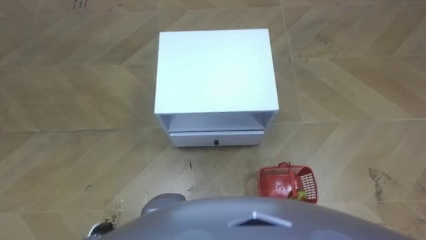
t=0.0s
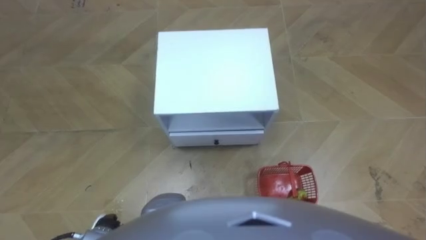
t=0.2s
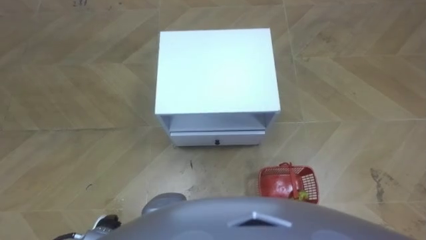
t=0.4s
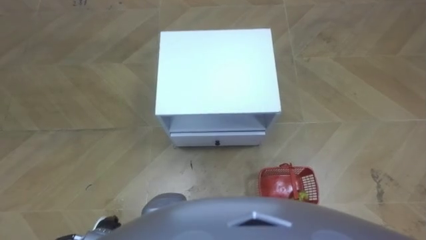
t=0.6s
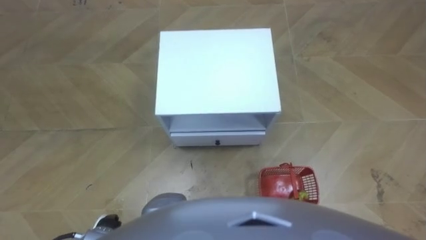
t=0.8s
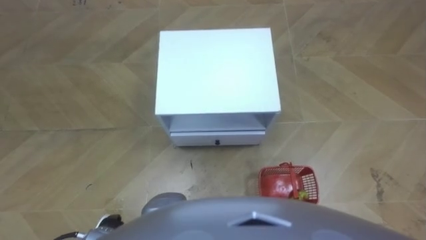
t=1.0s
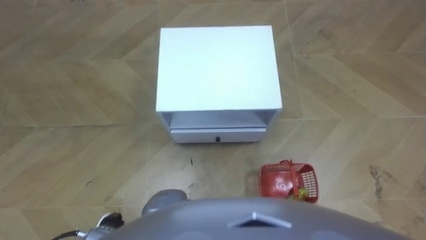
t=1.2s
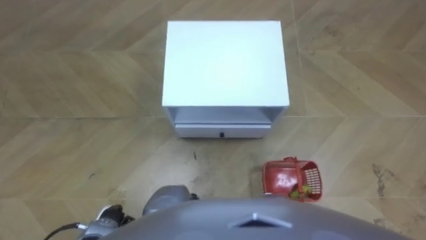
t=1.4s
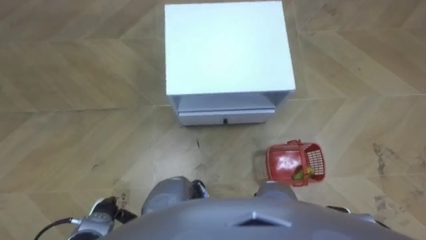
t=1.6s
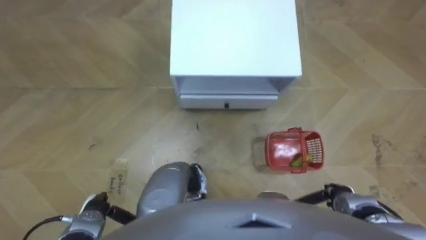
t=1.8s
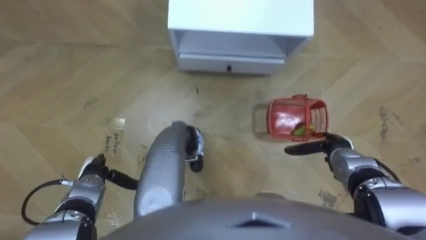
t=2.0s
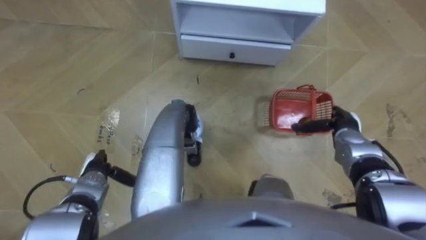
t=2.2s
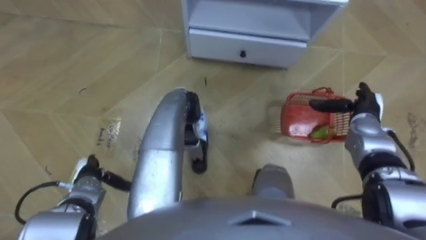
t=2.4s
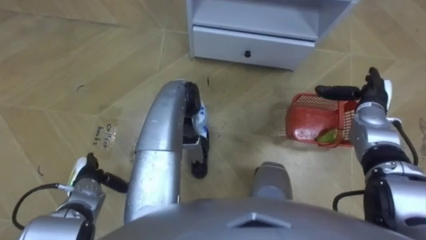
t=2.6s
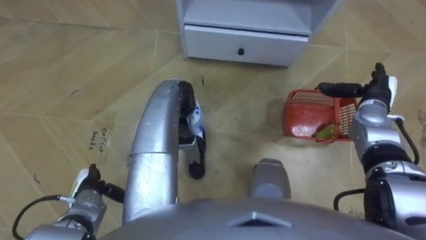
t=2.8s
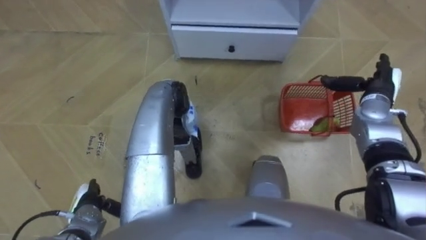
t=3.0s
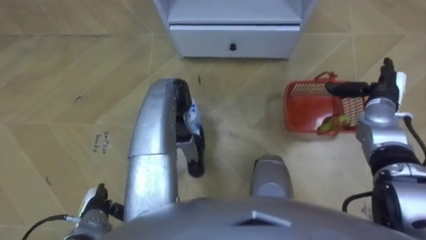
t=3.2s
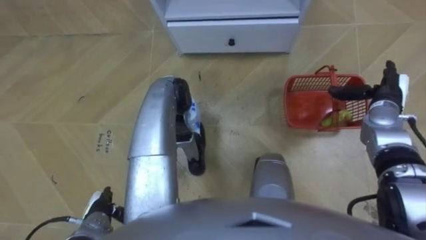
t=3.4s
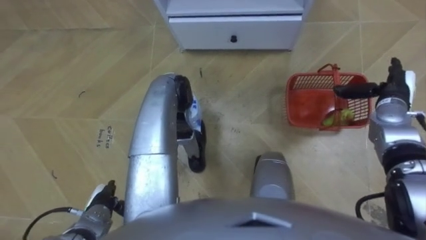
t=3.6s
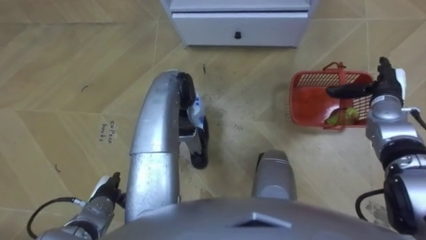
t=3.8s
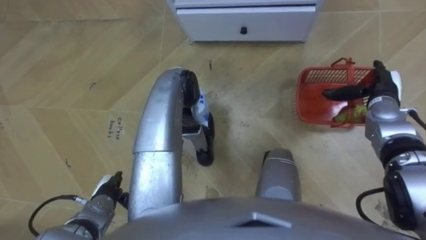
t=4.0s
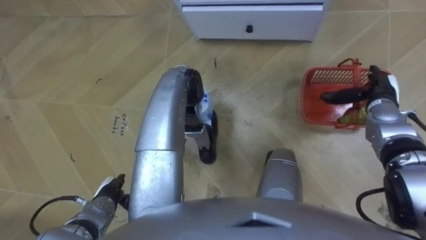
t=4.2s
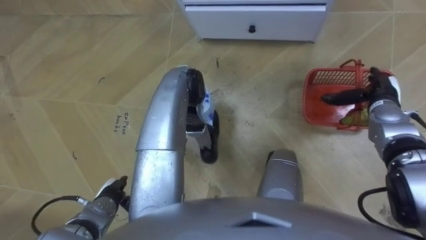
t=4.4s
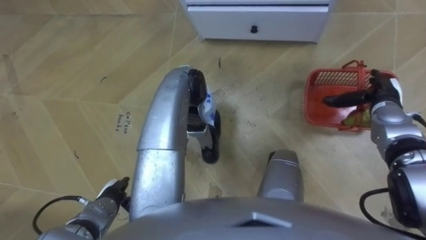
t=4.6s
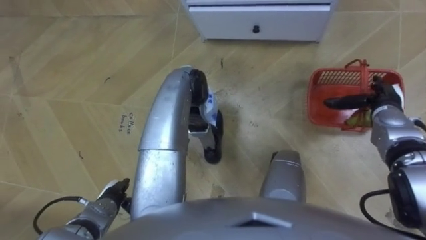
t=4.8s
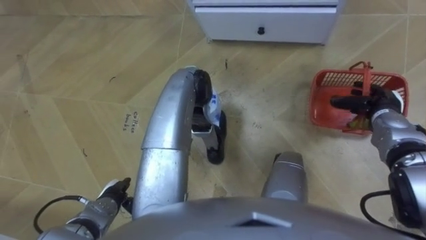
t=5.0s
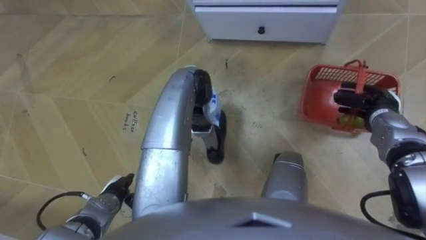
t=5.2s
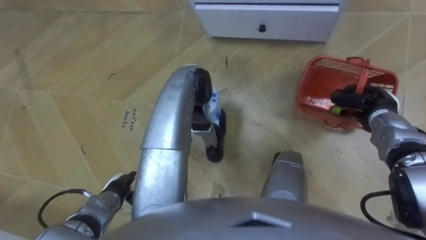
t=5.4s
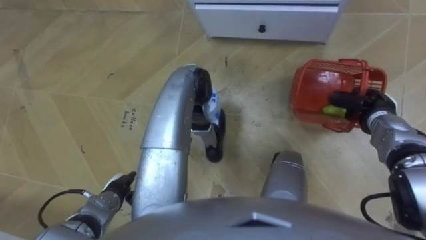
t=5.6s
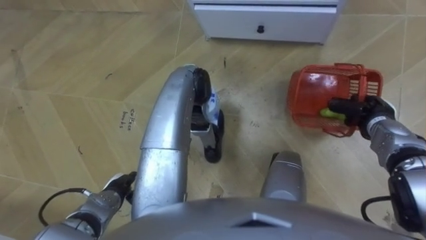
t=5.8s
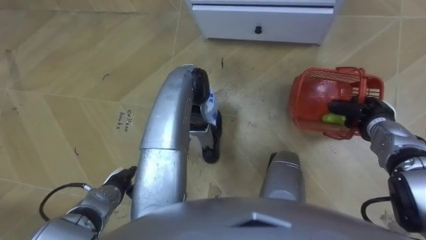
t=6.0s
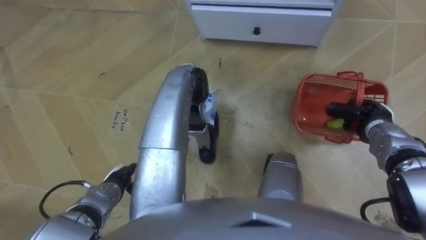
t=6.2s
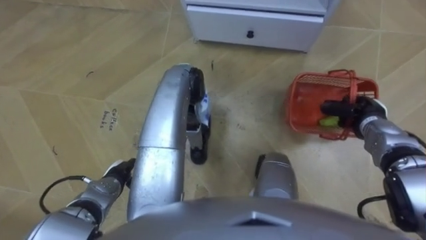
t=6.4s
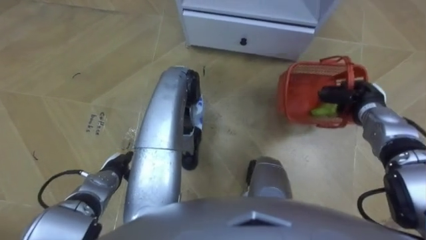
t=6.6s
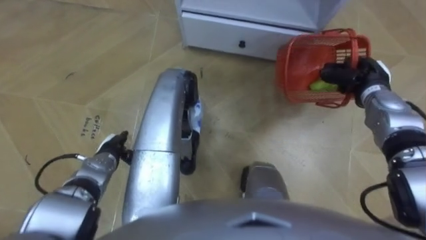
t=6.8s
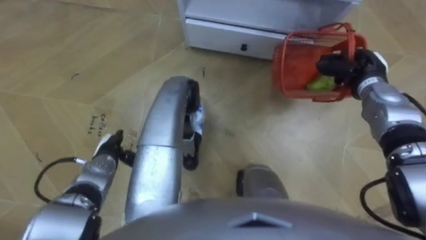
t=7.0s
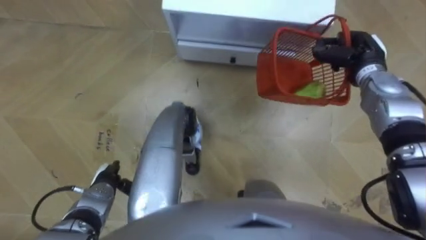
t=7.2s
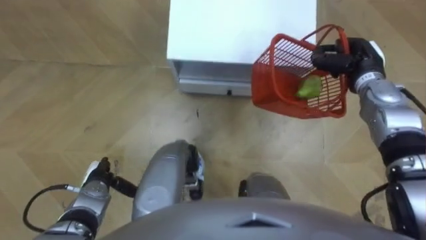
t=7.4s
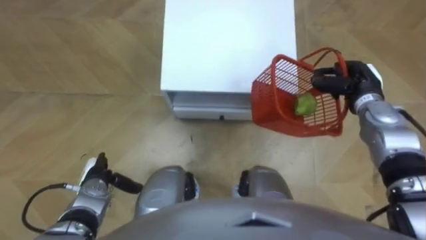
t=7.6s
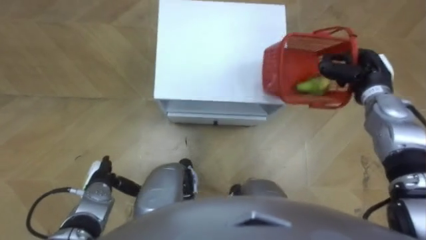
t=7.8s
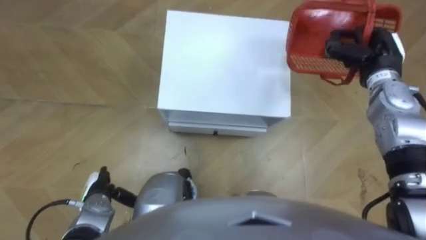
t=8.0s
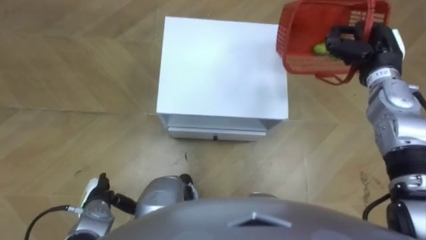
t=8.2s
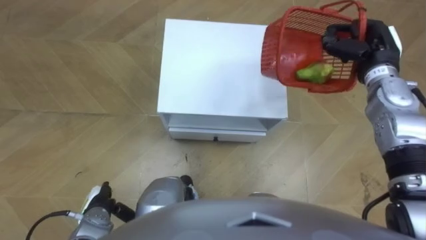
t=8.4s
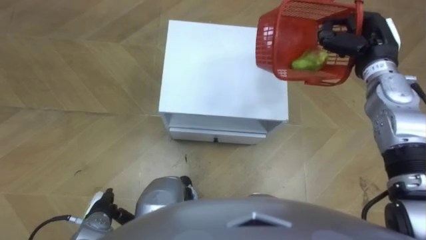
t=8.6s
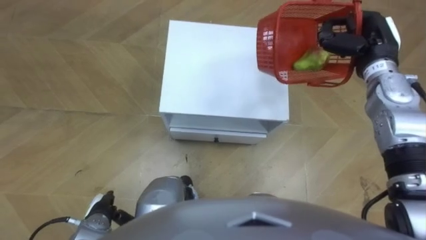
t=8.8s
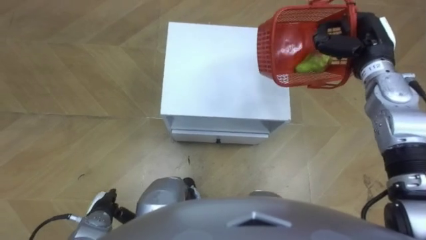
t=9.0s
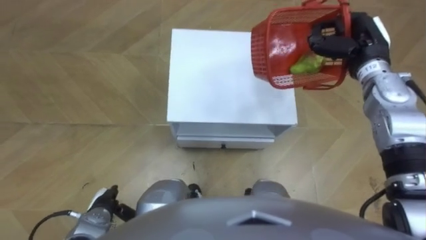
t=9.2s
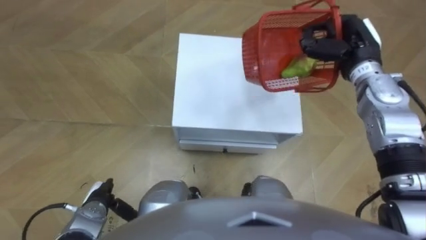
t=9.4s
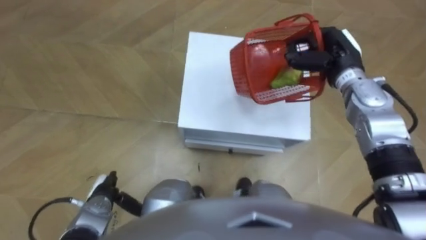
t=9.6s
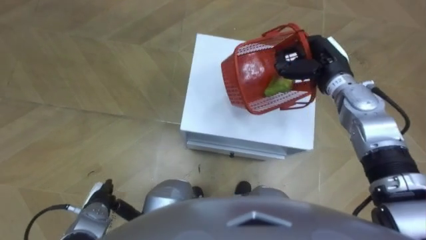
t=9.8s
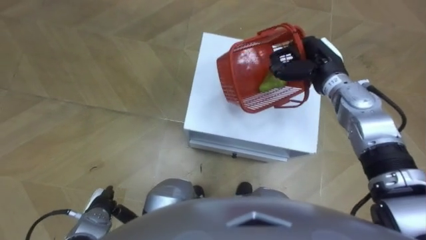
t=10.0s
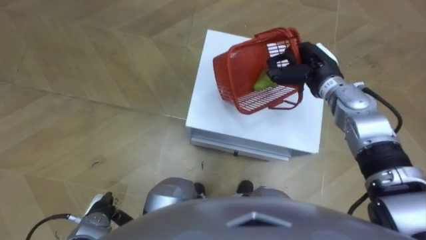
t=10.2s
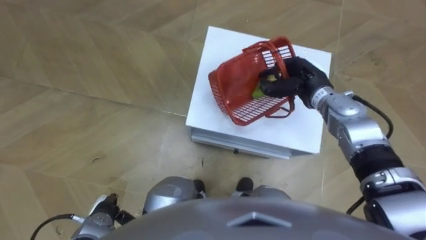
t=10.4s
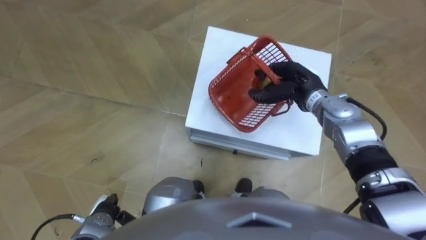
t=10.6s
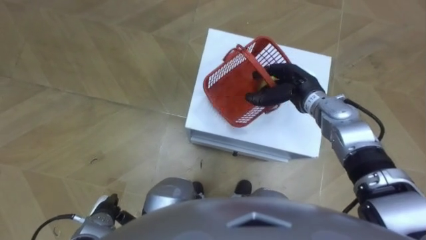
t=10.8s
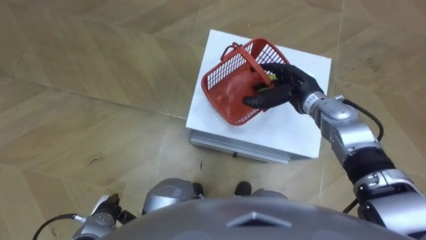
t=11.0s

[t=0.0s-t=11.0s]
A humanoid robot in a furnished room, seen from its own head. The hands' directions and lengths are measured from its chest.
Task of the whole recording: Pick up the fruit basket from the floor and place it on the cabinet.
t=1.6s to t=3.2s: The left hand travels forward and back again, approximately 10 cm each way; the right hand goes roughly 30 cm forward and upward.
t=4.8s to t=6.2s: The right hand closes up.
t=6.2s to t=7.8s: The right hand heads upward and forward, covering about 10 cm.
t=7.8s to t=9.4s: The right hand goes roughly 5 cm upward.
t=9.4s to t=11.0s: The right hand moves to the left and downward, about 10 cm, and opens up.

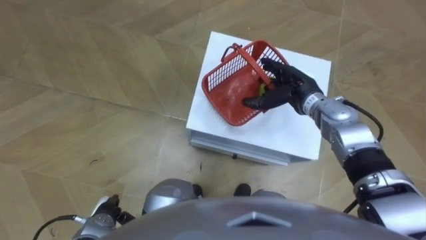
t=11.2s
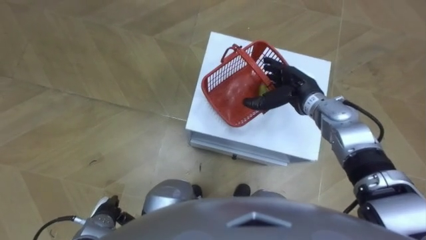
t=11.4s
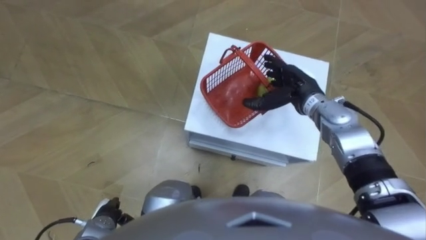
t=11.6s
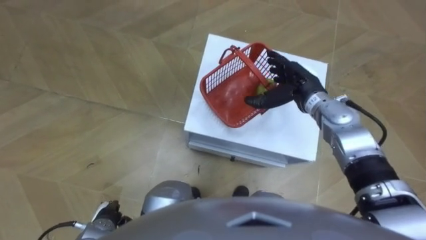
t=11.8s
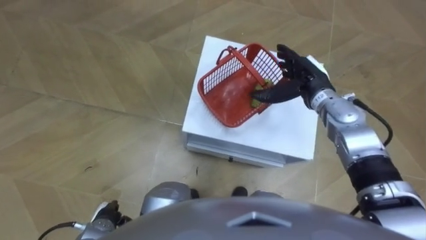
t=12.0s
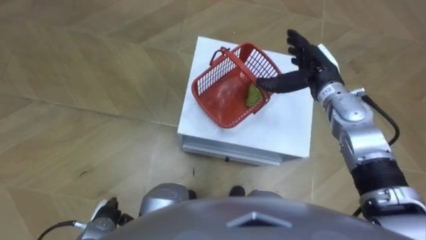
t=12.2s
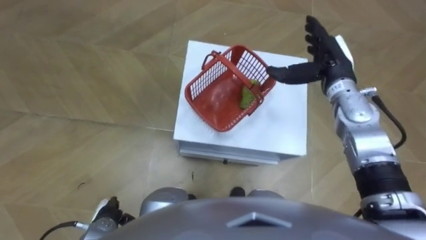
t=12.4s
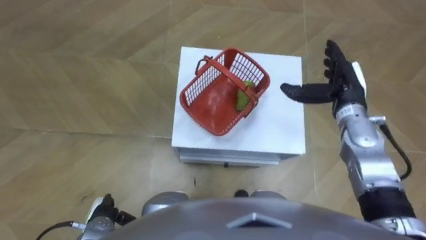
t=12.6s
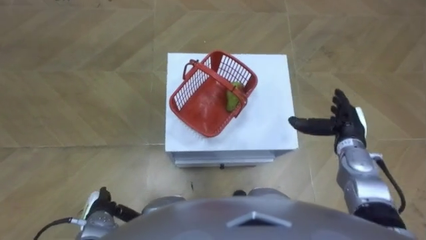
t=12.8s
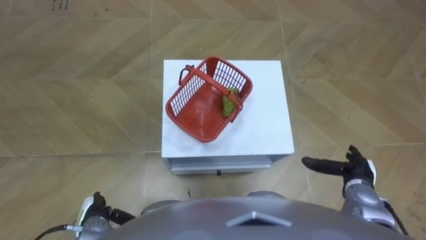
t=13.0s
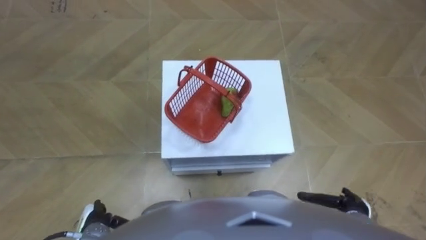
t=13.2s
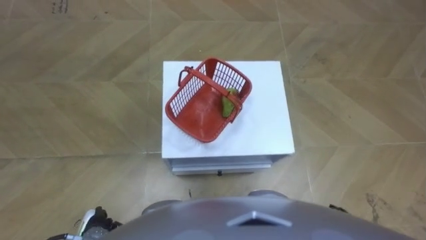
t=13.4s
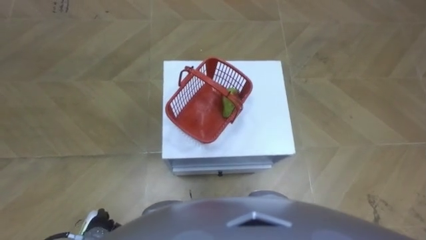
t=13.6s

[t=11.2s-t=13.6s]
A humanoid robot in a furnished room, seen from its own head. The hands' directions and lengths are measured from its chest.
Task of the whole recording: Pick up the fruit basket from the floor and place it on the cabinet.
t=11.2s to t=12.4s: The right hand travels upward and to the right by some 10 cm.
t=12.4s to t=13.6s: The right hand heads backward and downward, covering some 40 cm.

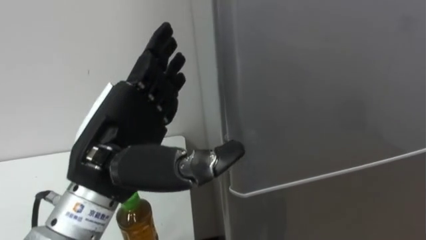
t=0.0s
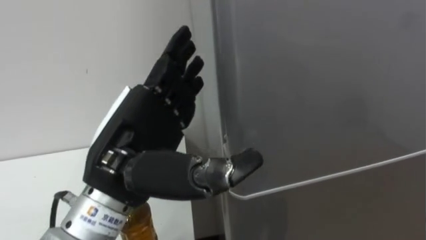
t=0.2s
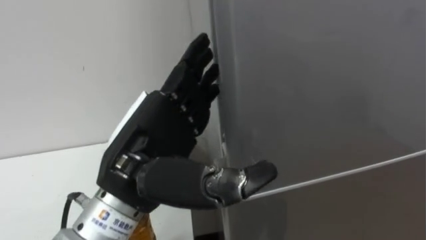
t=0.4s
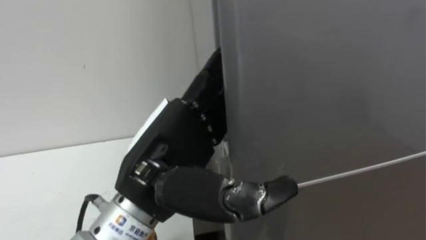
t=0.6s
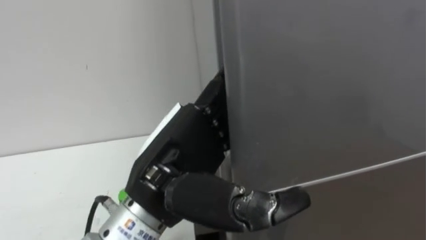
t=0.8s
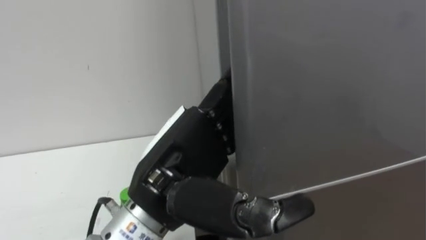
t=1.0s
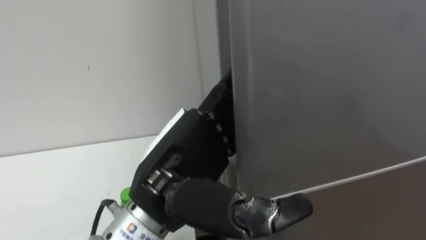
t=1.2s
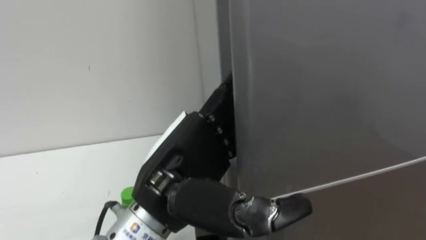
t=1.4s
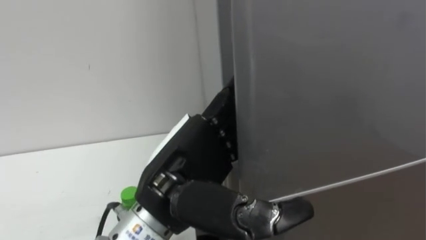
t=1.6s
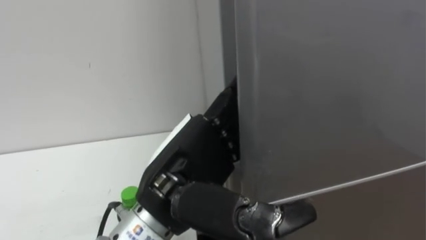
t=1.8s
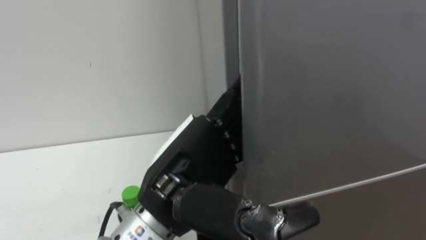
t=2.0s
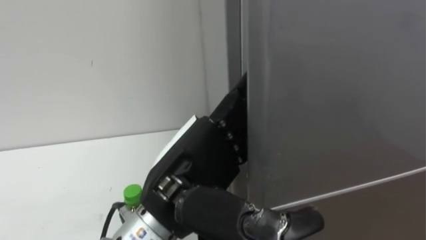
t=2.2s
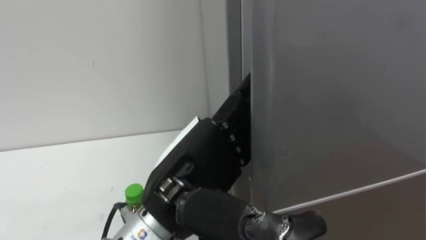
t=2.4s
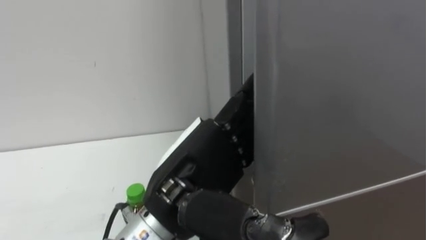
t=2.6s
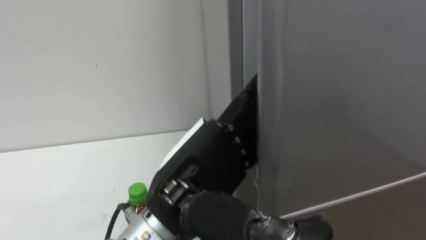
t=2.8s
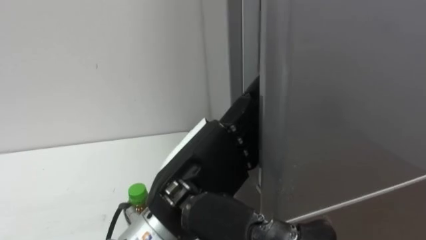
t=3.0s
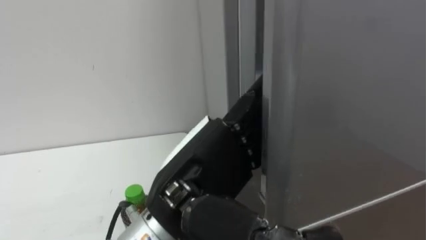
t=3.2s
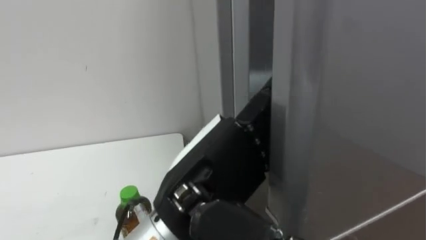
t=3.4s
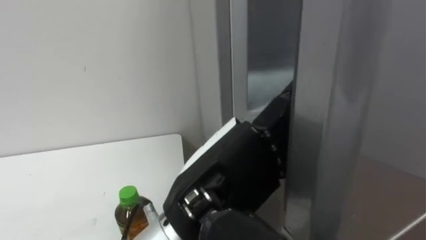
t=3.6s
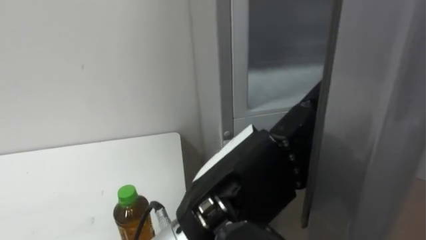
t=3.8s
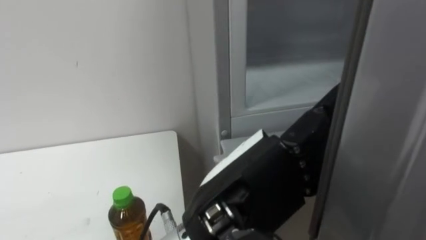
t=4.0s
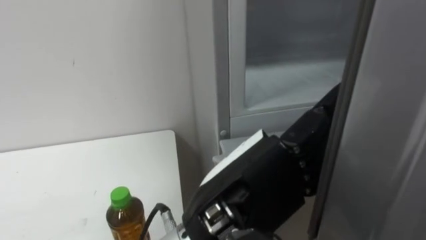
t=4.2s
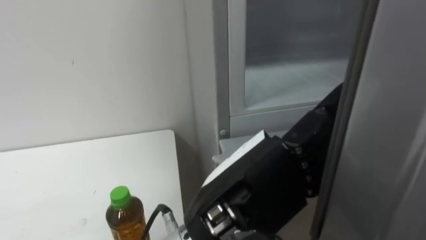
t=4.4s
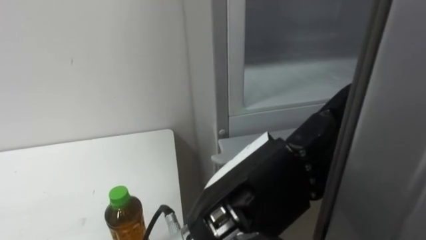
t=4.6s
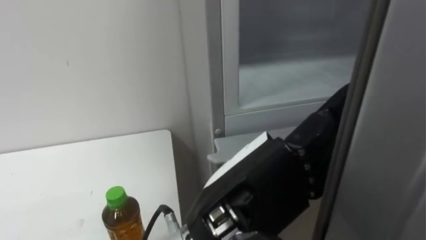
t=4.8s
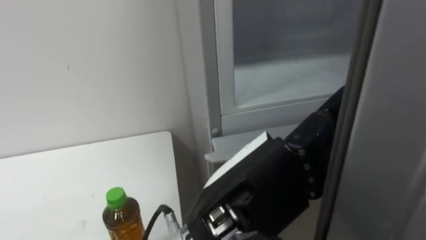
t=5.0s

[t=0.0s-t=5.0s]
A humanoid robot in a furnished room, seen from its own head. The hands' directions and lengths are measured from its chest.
Task of the whole recording: Open the upper refrigerator door, put the drink from the table into the refrigerator, and then close the refrigerator door.
t=0.0s to t=1.6s: The left hand shifts roughly 5 cm to the right.
